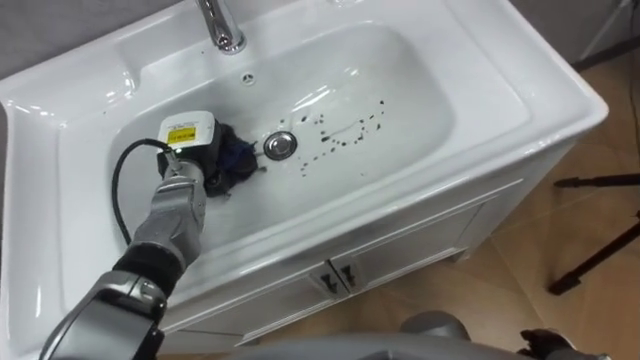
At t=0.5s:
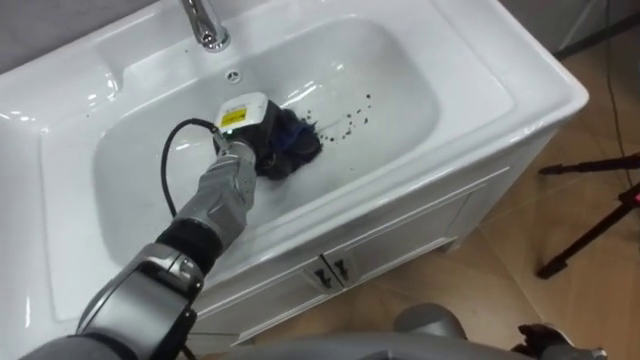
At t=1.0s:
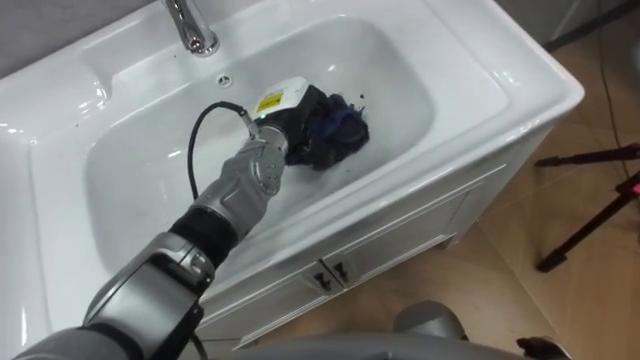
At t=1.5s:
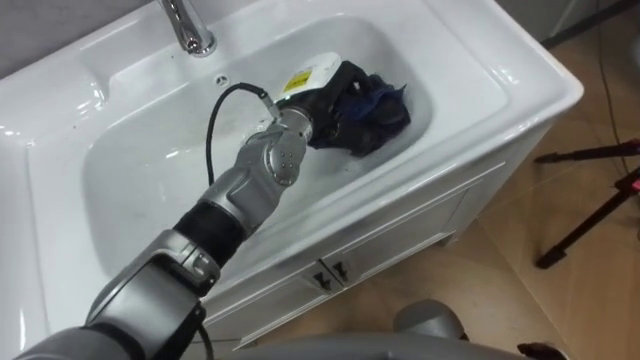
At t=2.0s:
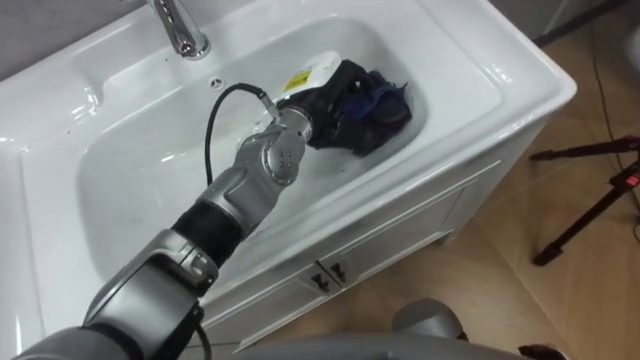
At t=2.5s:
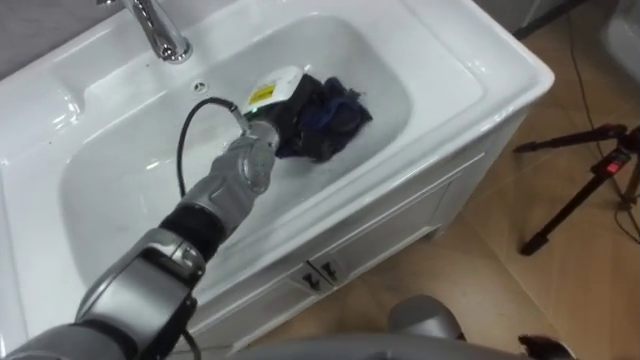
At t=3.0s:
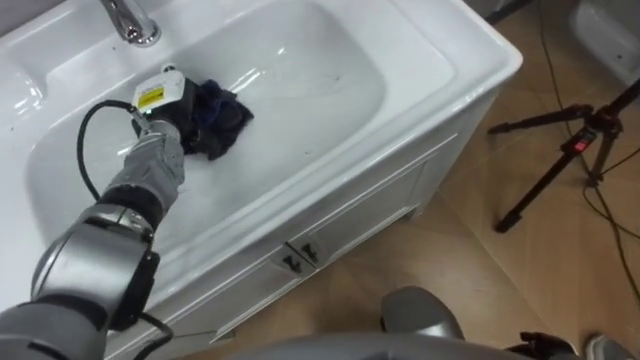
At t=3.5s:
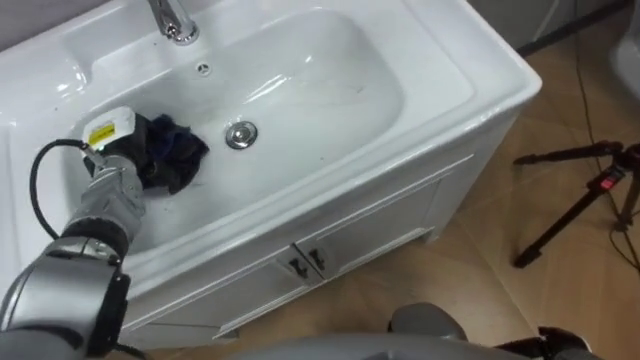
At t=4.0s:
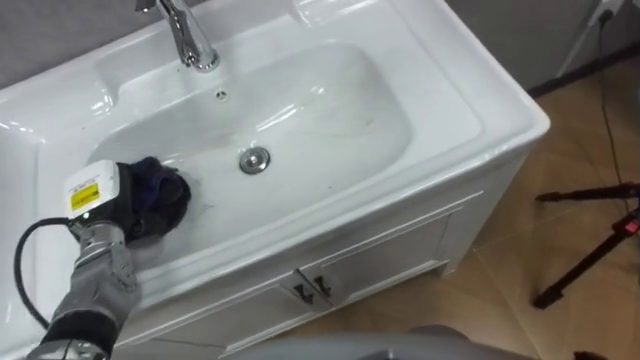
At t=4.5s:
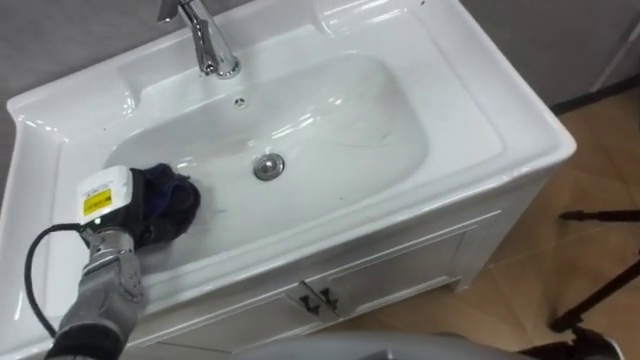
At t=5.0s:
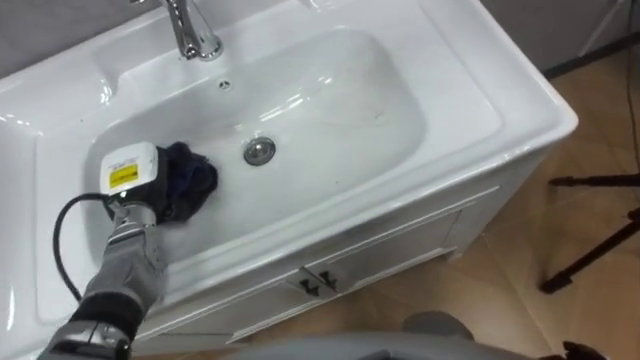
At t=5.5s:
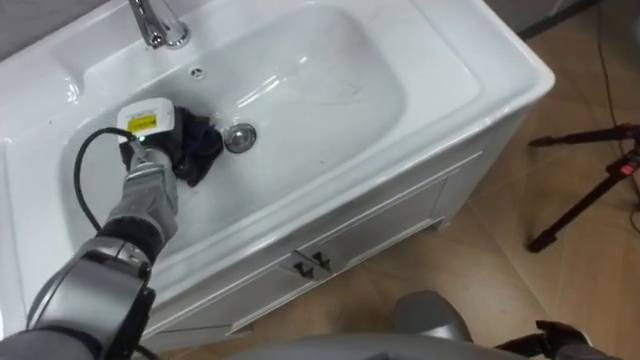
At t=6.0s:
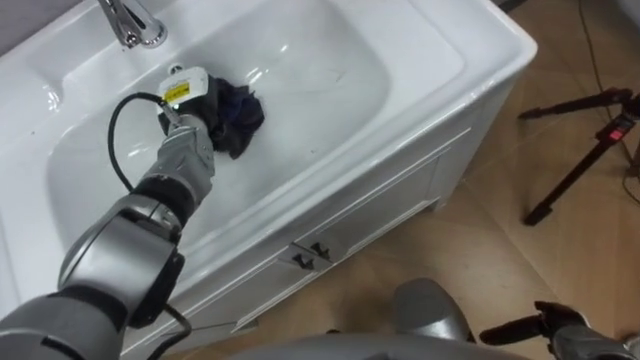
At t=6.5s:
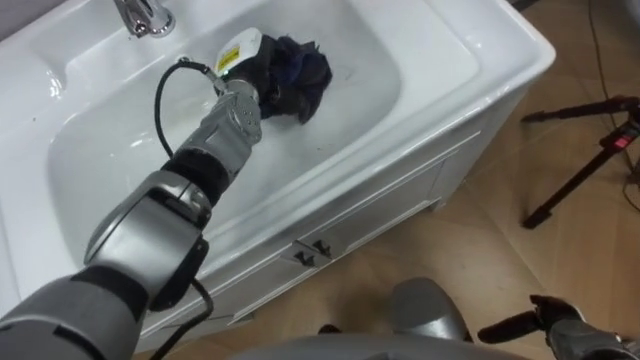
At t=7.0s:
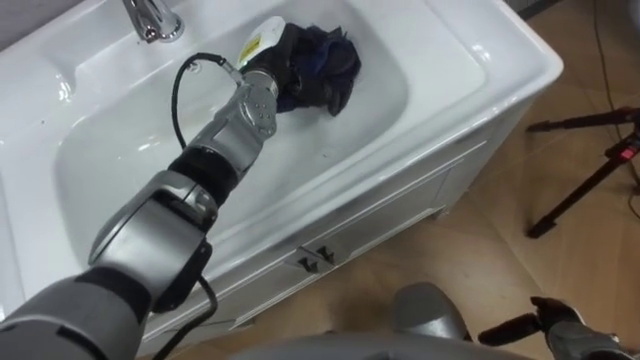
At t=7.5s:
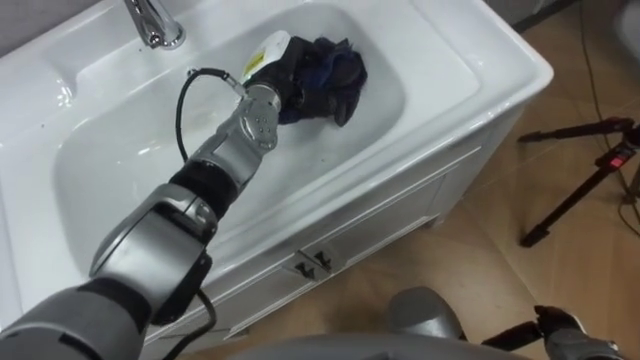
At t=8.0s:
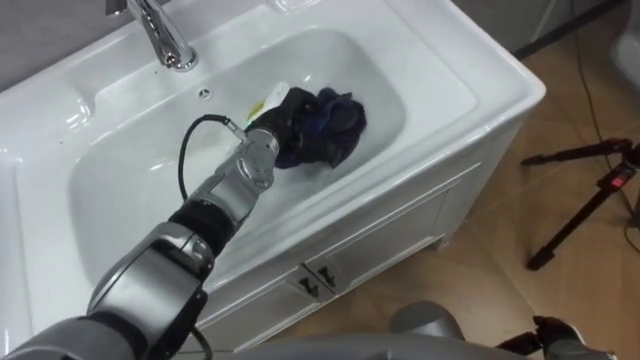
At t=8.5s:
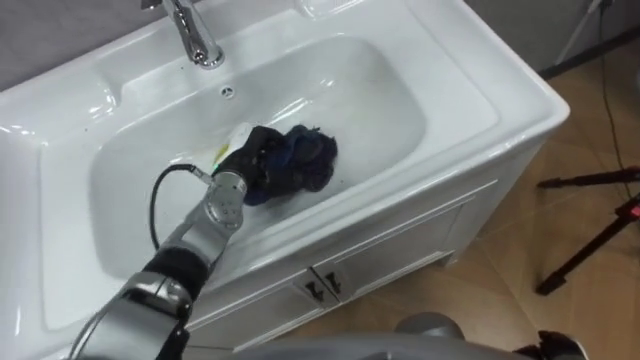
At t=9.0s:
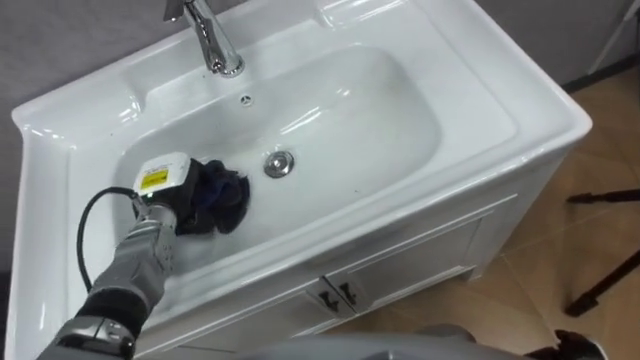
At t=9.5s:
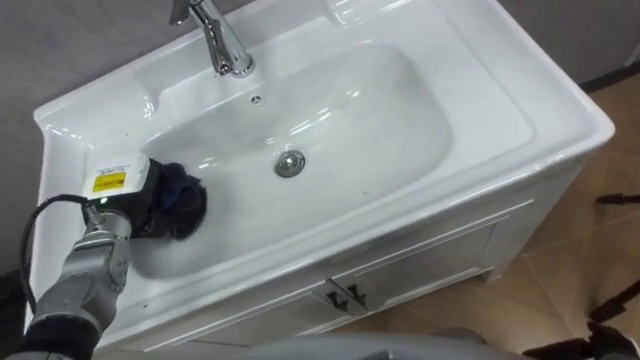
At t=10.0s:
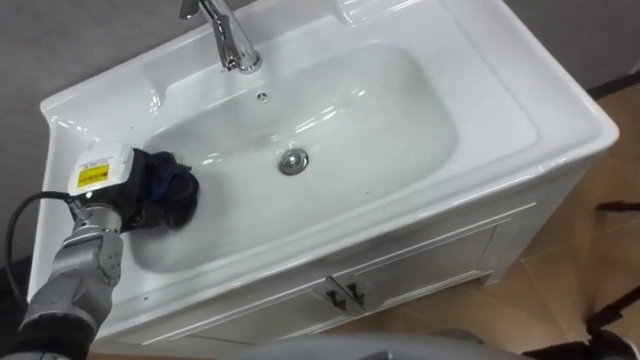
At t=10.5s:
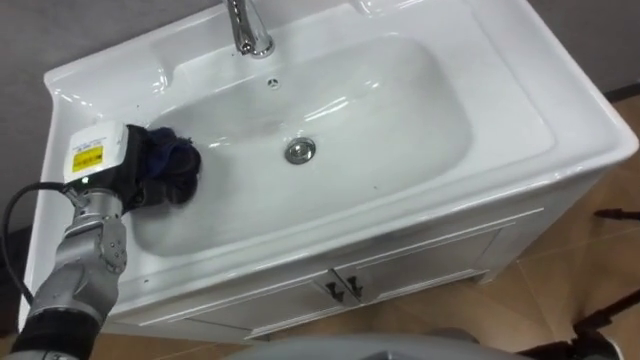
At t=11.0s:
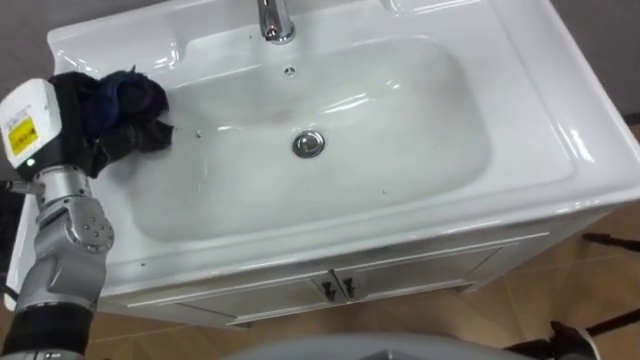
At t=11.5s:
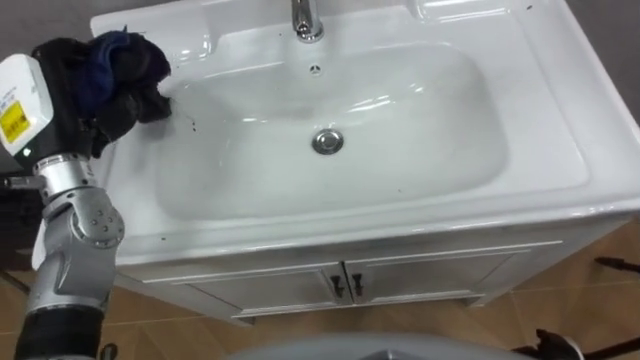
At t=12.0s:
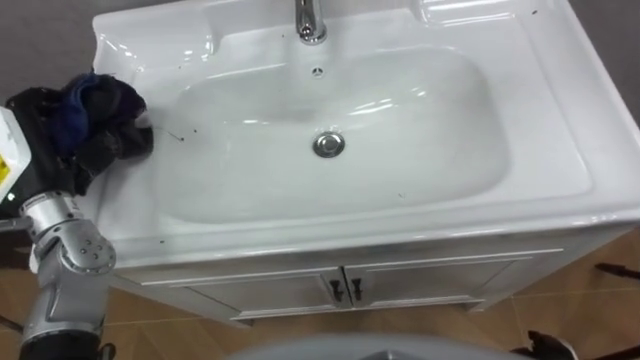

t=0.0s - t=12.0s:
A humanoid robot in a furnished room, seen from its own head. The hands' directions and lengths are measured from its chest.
Task of the whole recording: Use the cloth on the right to wipe away the black stain in the sink.
t=0.0s - t=2.0s: The left hand travels to the right and upward by some 20 cm.
t=2.0s - t=4.0s: The left hand moves to the left, some 30 cm.
t=4.0s - t=6.0s: The left hand goes some 20 cm forward and to the right.
t=6.0s - t=8.0s: The left hand is displaced to the right by roughly 10 cm.
t=8.0s - t=10.0s: The left hand moves to the left and backward, some 25 cm.
t=10.0s - t=12.0s: The left hand goes approximately 10 cm upward.

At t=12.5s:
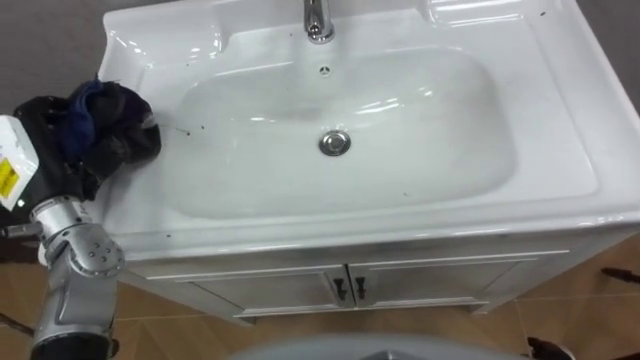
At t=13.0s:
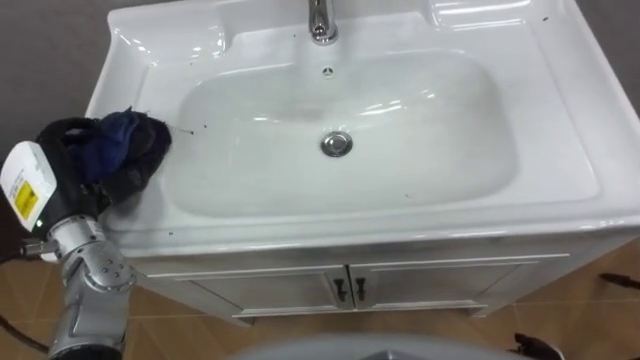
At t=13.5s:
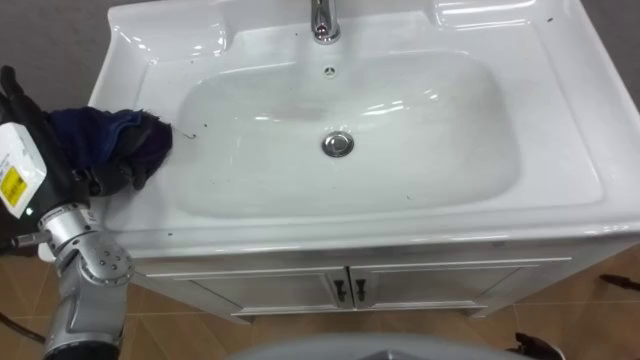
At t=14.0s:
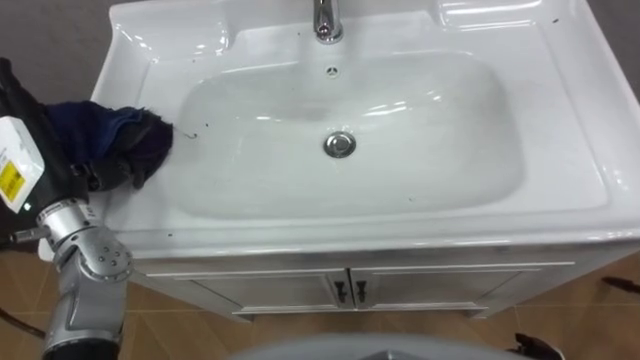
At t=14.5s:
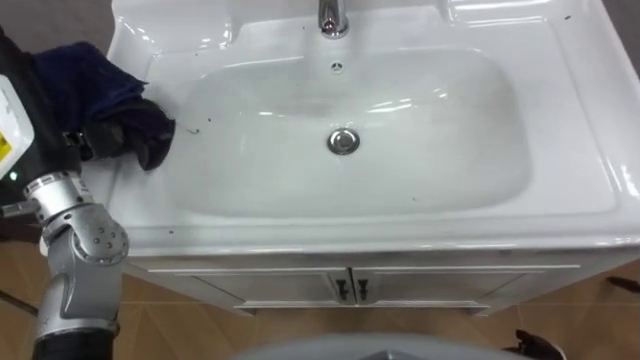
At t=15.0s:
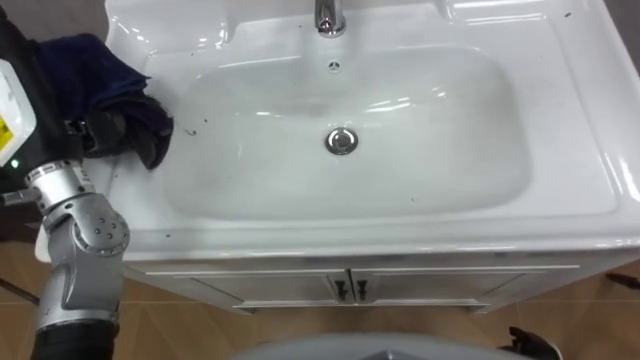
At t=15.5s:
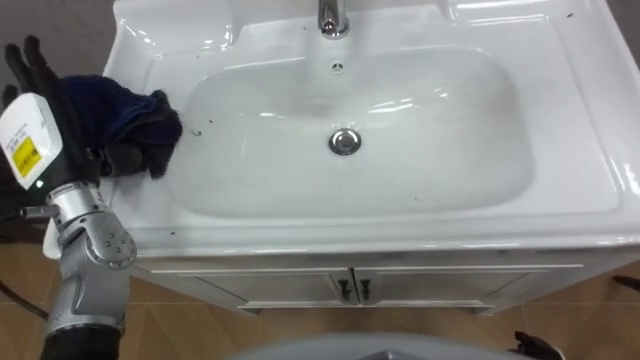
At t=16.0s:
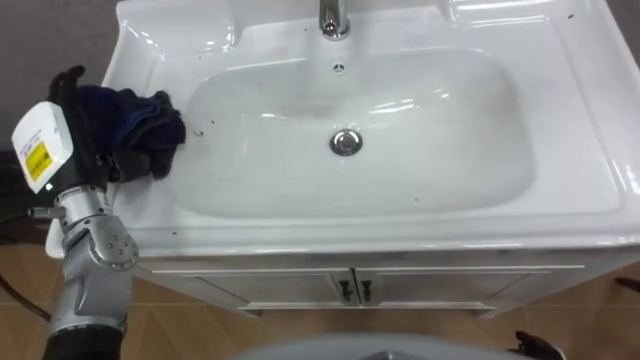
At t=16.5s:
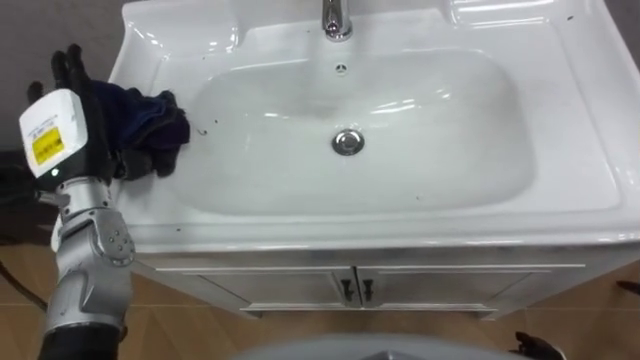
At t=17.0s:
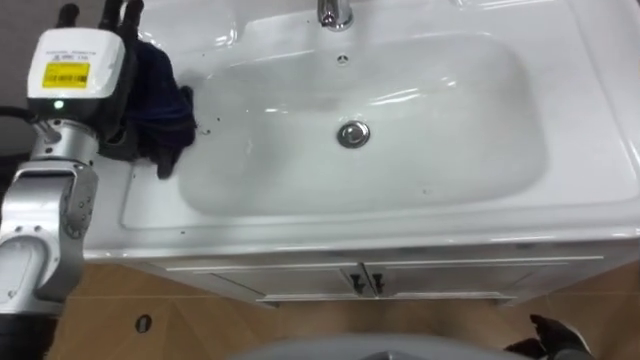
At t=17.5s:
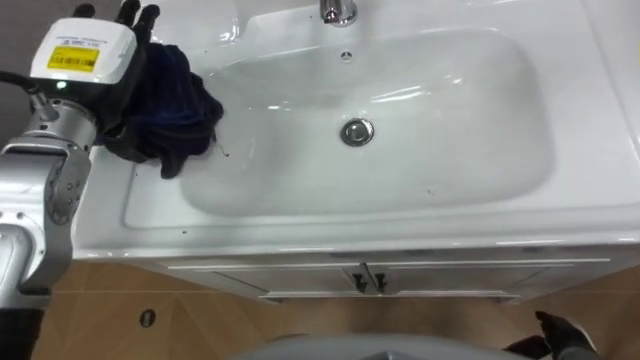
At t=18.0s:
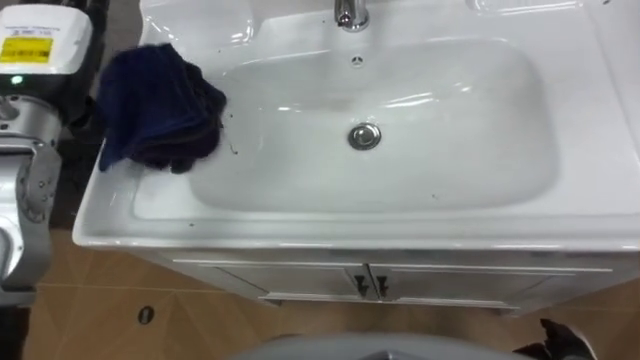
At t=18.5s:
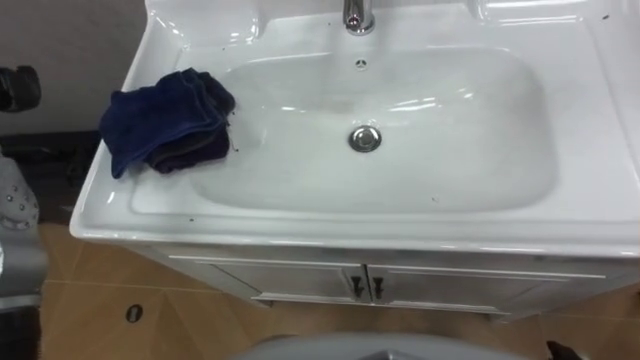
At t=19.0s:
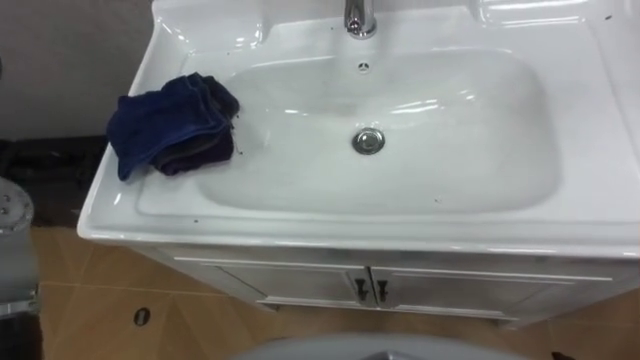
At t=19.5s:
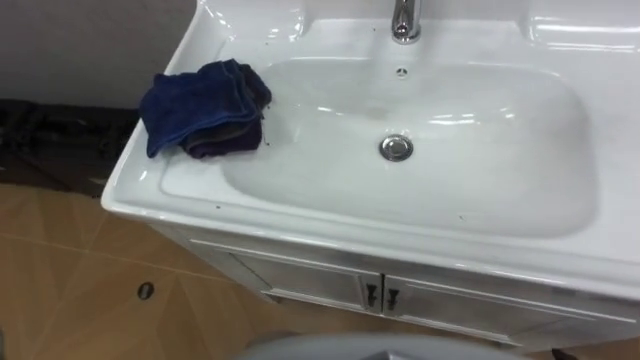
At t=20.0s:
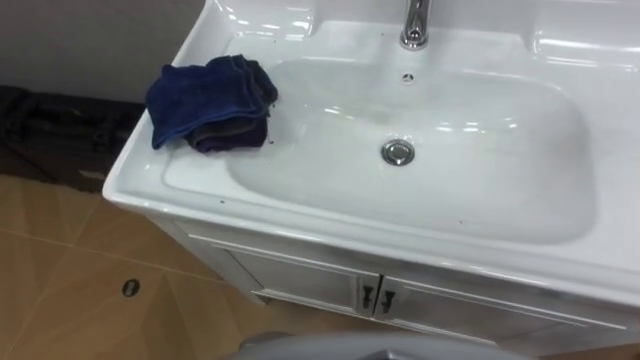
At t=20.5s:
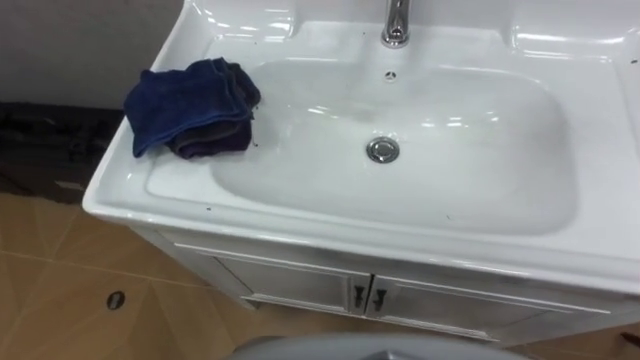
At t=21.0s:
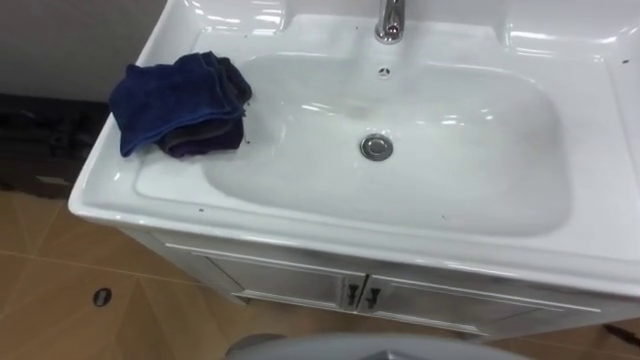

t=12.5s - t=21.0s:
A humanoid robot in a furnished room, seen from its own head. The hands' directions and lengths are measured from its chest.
Task of the whole recording: Use the cloth on the right to wipe away the black stain in the sink.
t=12.5s - t=14.5s: The left hand travels upward by roughly 5 cm, and opens.
t=14.5s - t=16.5s: The left hand is displaced downward by approximately 5 cm.
